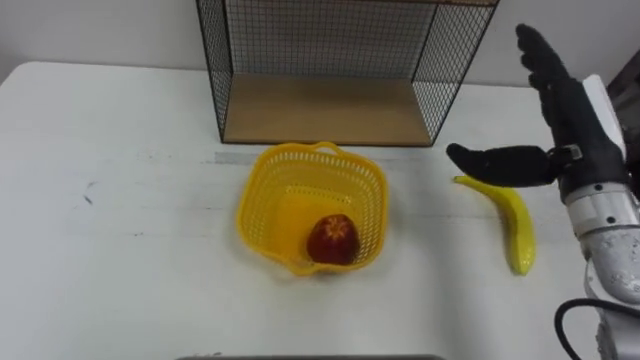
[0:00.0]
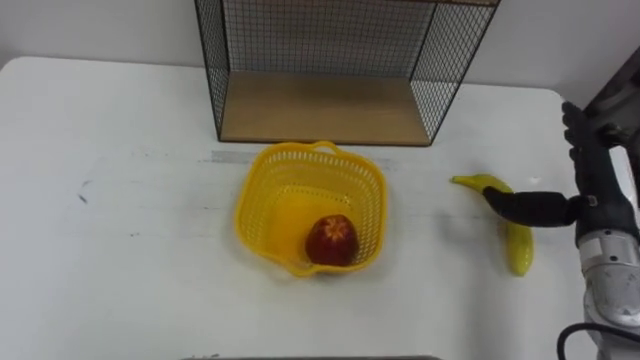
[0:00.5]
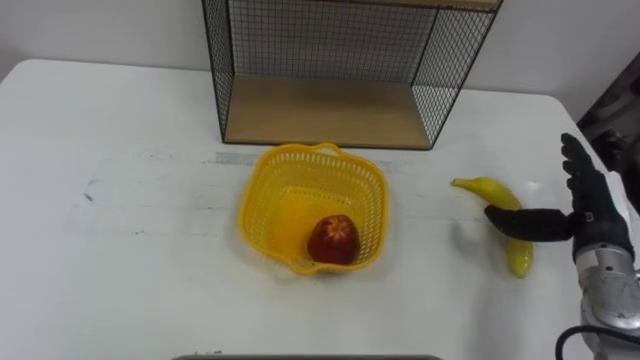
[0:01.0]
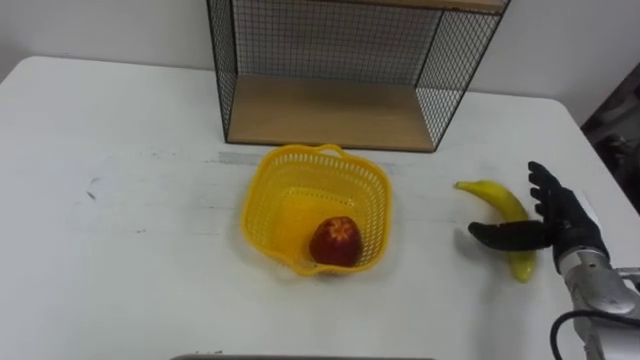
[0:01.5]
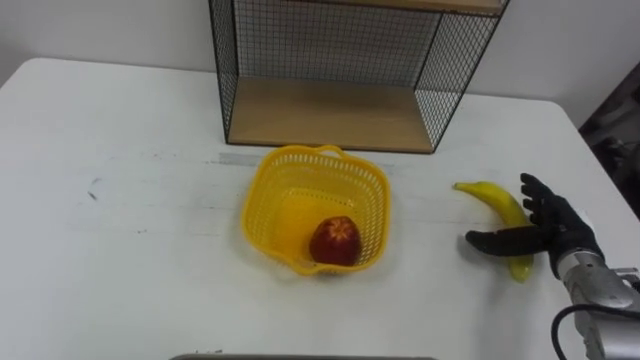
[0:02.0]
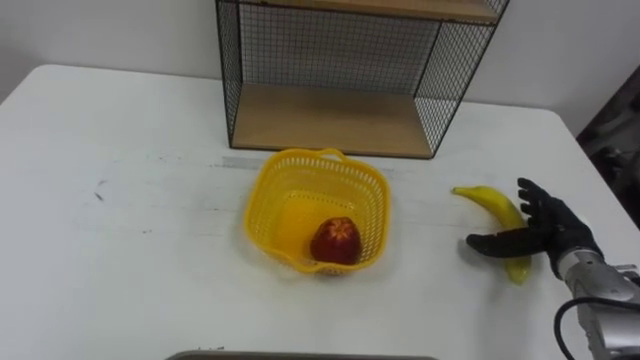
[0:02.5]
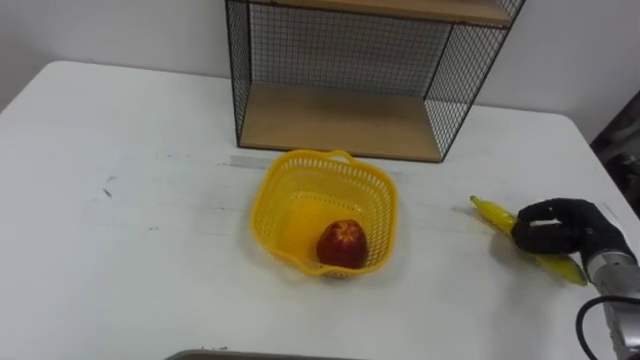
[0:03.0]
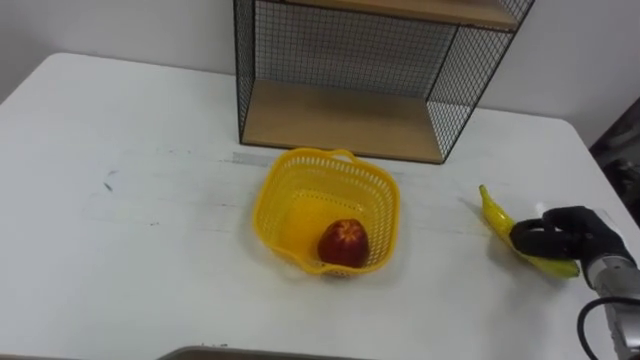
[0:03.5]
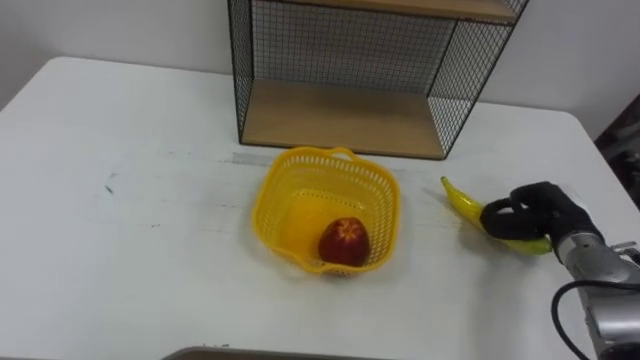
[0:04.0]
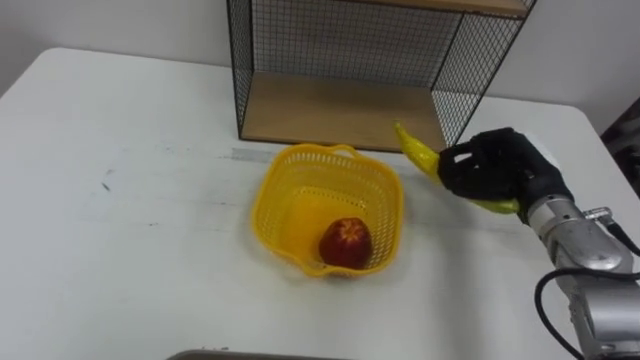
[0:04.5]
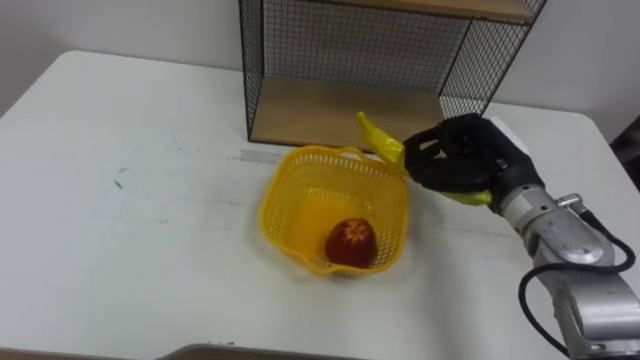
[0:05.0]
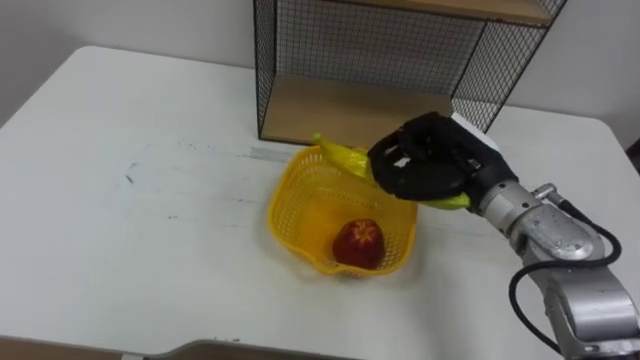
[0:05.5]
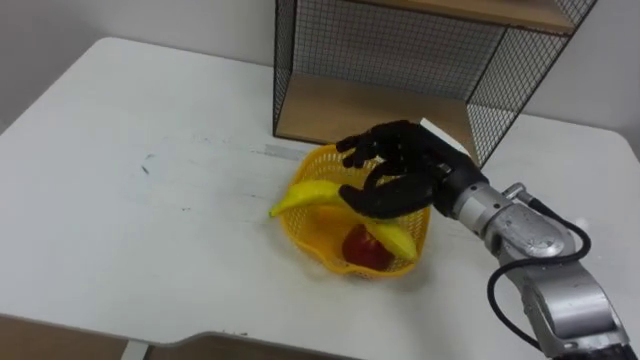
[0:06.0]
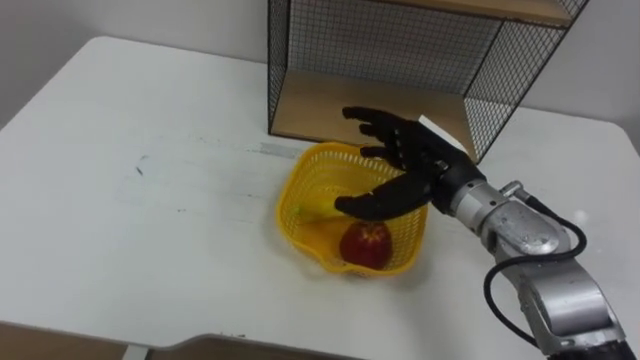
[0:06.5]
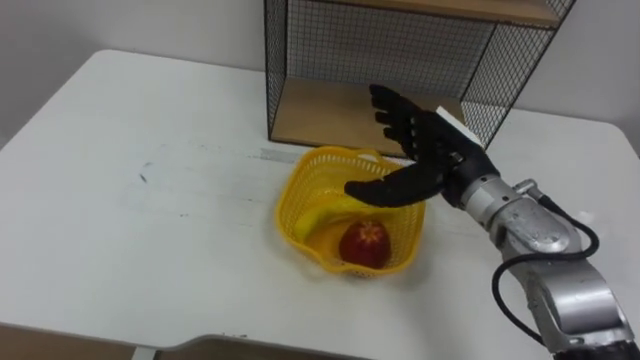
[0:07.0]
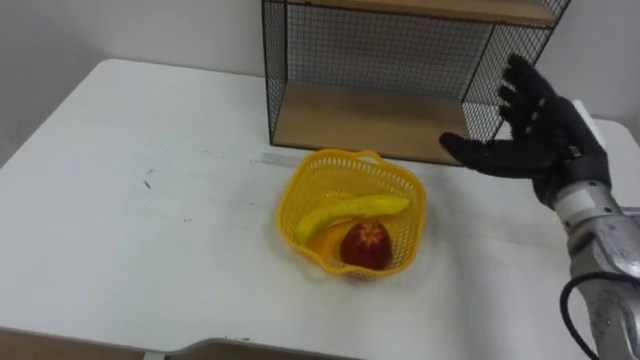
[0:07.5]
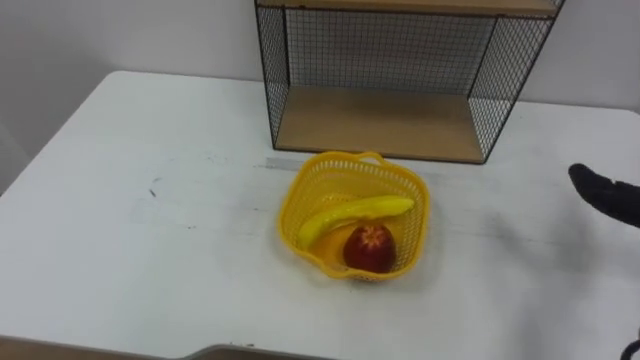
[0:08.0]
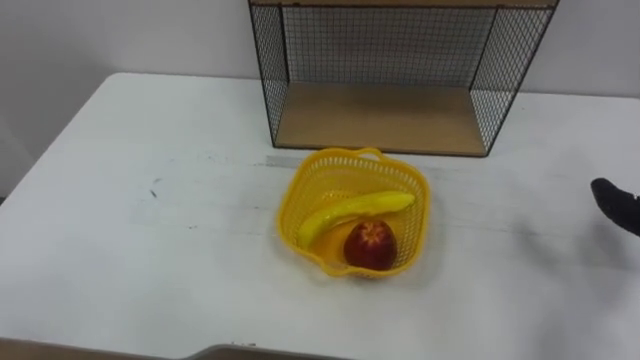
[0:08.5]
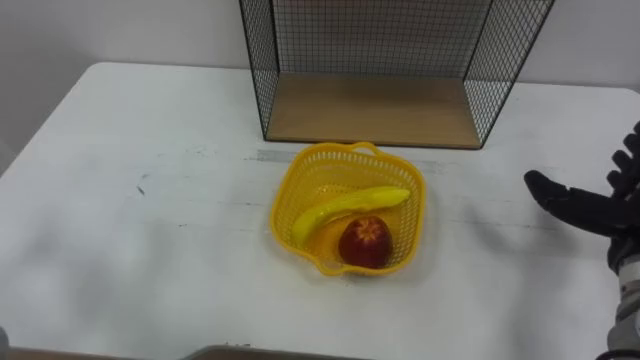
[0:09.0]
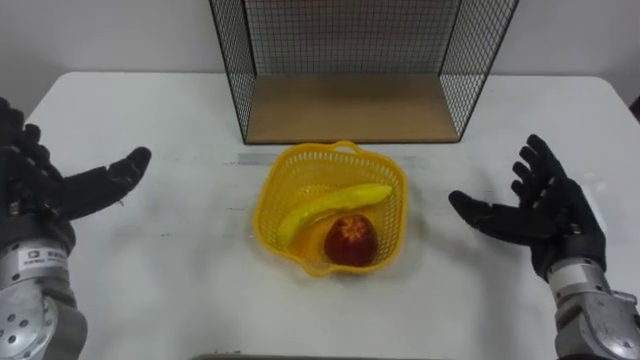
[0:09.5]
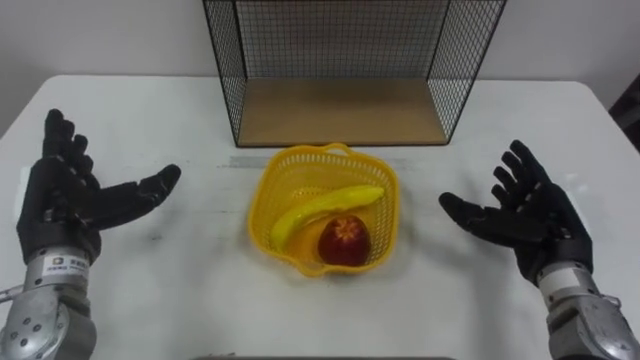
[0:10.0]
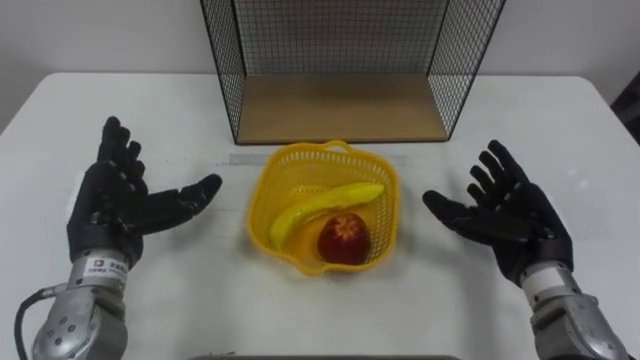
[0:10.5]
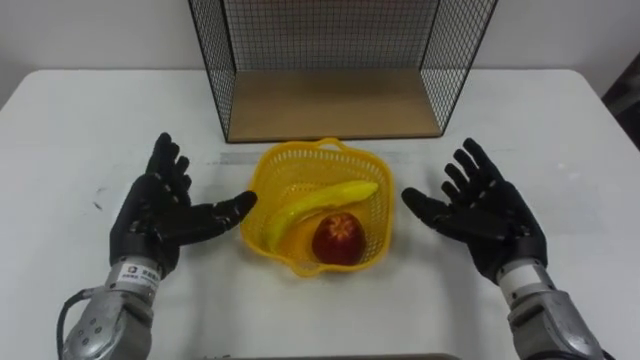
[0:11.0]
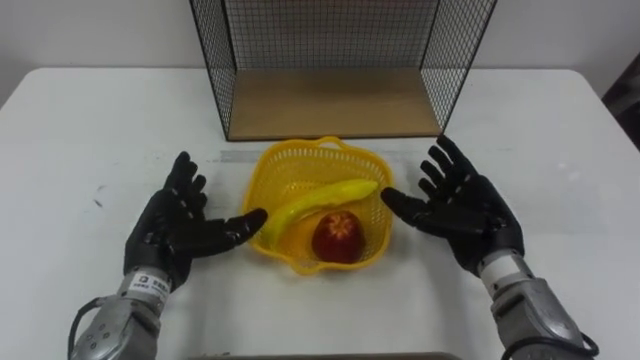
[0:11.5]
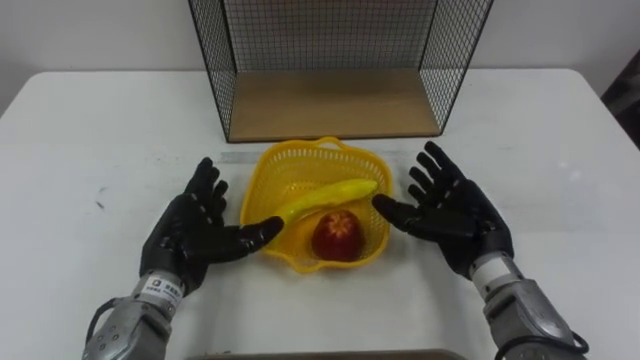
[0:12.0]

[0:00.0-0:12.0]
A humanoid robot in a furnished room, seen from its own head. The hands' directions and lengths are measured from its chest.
Task of the whole recording: Put the fruit on the table into the basket, then place the basket on the shelf.
0.0 to 2.0 s: The right hand heads downward, covering some 20 cm.
2.0 to 4.0 s: The right hand closes its fingers.
4.0 to 6.0 s: The right hand moves to the left and upward, roughly 20 cm.
10.0 to 12.0 s: The left hand travels to the right and downward by about 15 cm. The right hand is displaced to the left by approximately 10 cm.

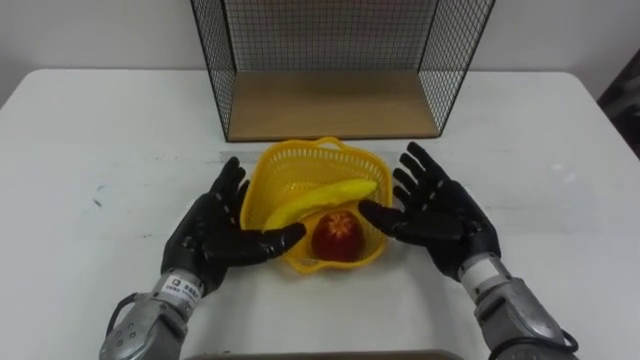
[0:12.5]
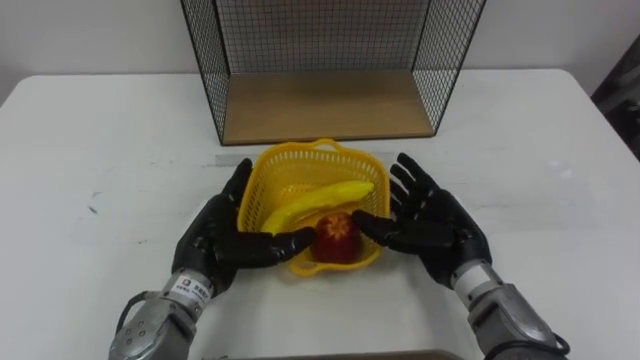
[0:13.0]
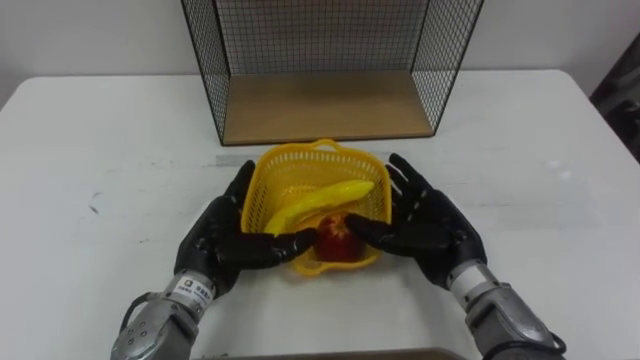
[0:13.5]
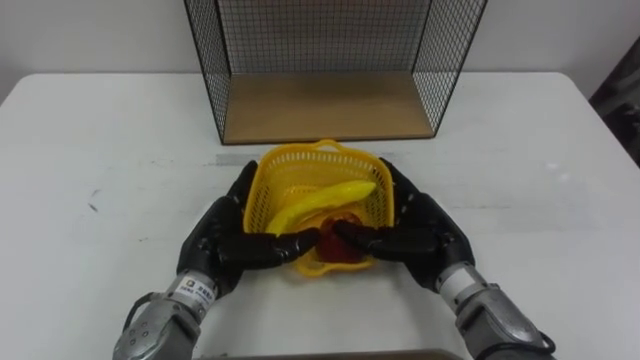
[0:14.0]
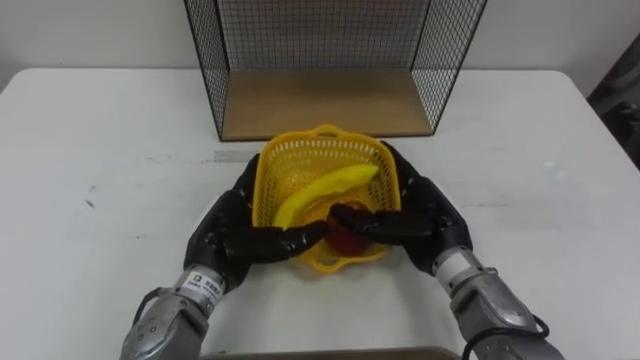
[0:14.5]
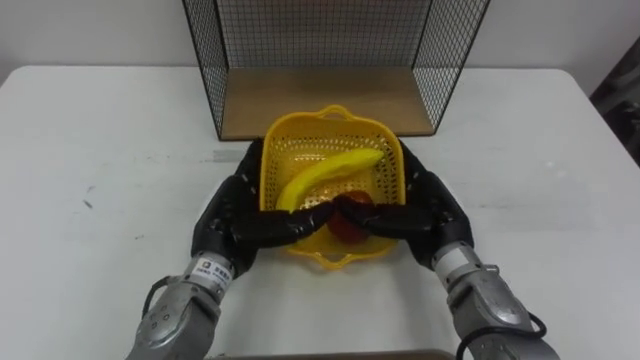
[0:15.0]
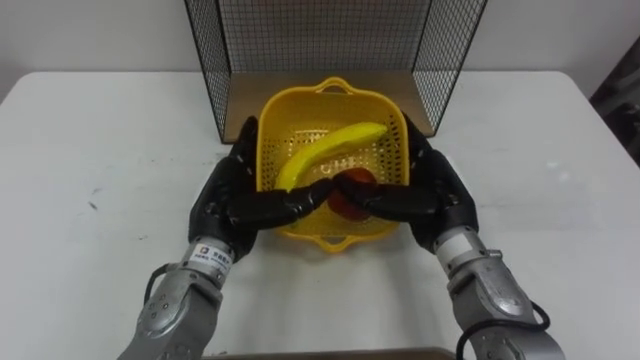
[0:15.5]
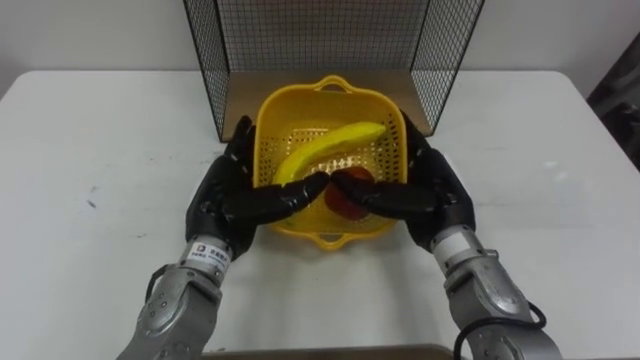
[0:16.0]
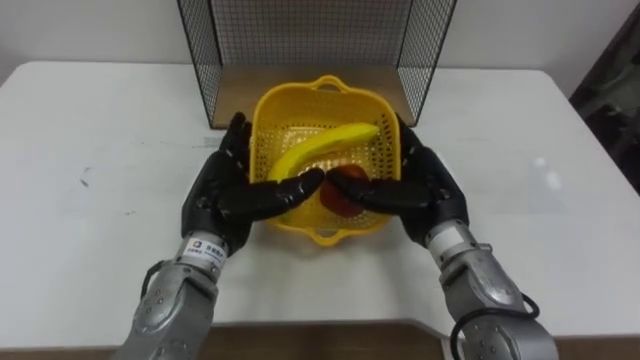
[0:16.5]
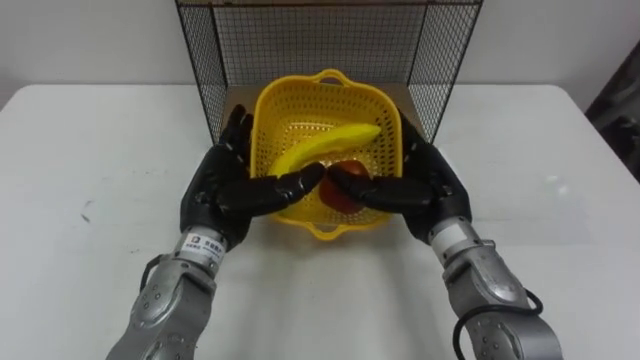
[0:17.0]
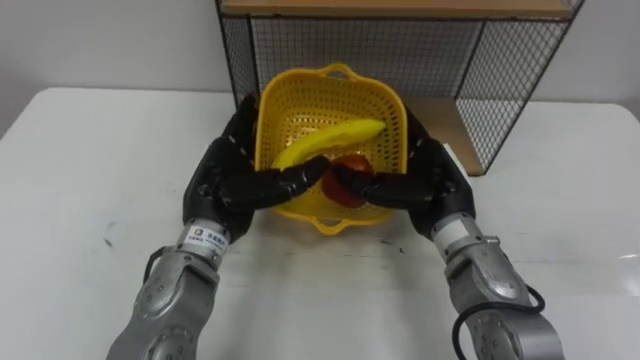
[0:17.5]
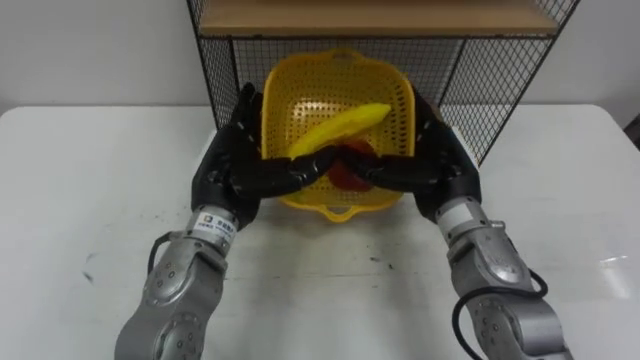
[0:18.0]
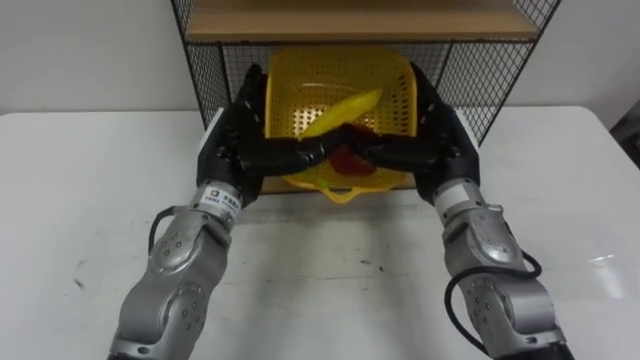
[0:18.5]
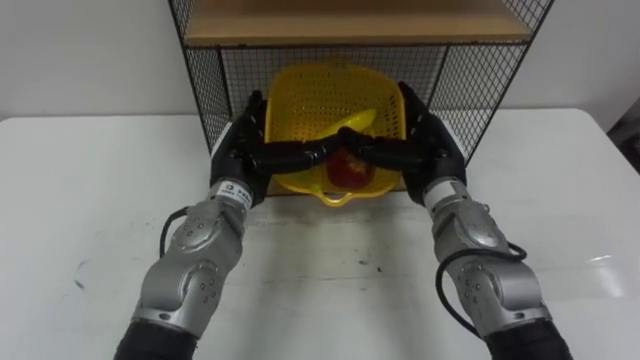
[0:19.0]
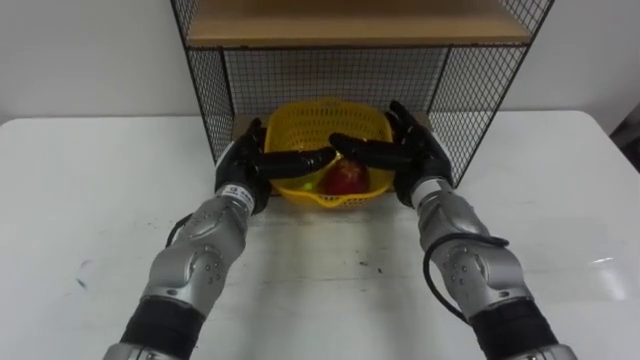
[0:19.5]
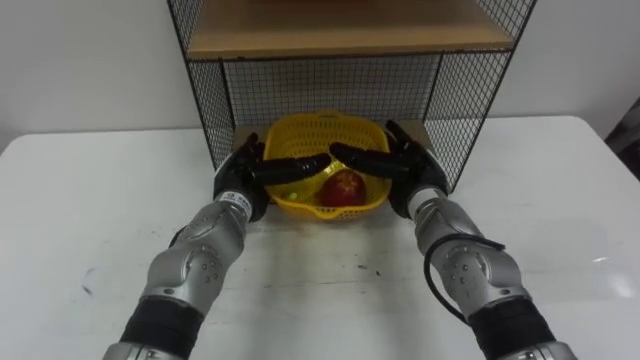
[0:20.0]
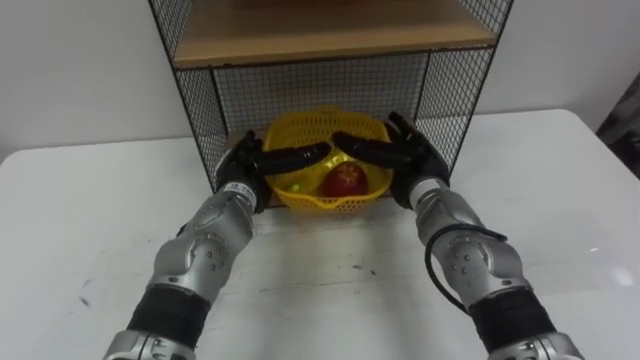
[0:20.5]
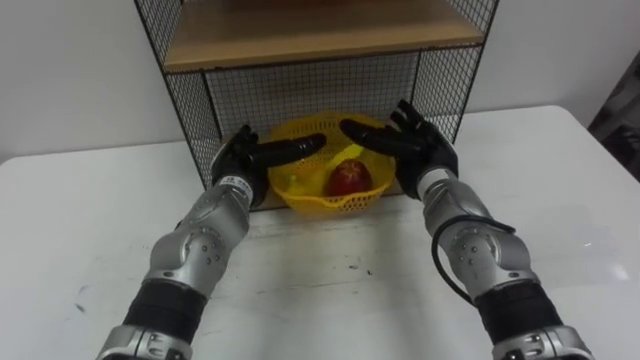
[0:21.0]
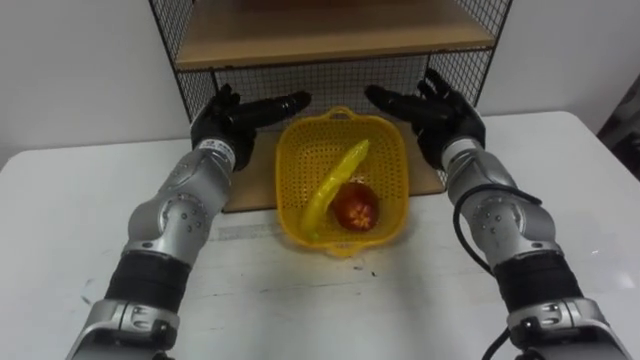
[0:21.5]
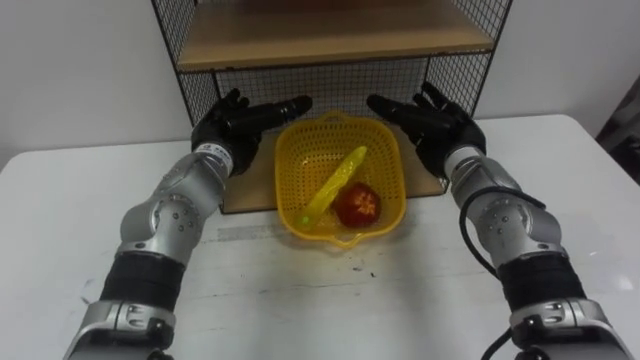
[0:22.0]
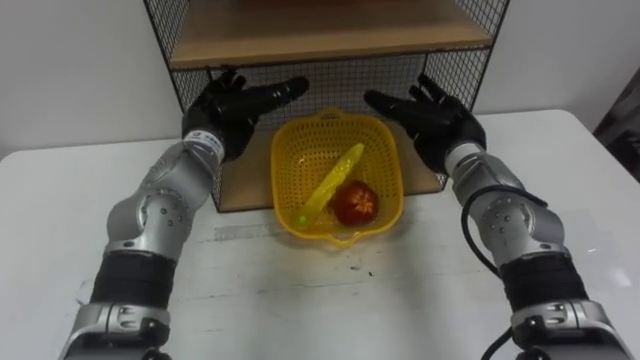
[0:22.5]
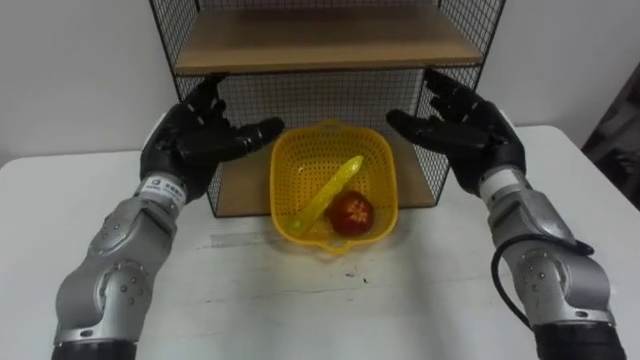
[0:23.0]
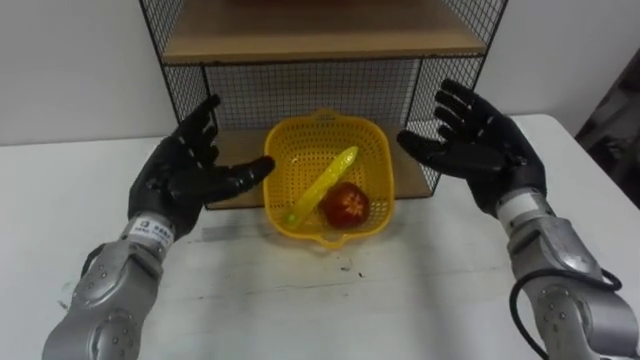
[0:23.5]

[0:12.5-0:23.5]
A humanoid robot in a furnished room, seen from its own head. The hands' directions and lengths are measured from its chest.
Task of the whole recording: Put the fruit on the table into the basket, then place the basket on the shelf.
12.5 to 14.5 s: There are only small adjustments of the hands.
18.0 to 20.0 s: The hands both shift downward by some 5 cm.
20.0 to 21.5 s: The two hands go about 5 cm upward.
21.5 to 23.5 s: The right hand shifts approximately 10 cm backward and to the right. Meanwhile the left hand is displaced backward and to the left by approximately 10 cm.
